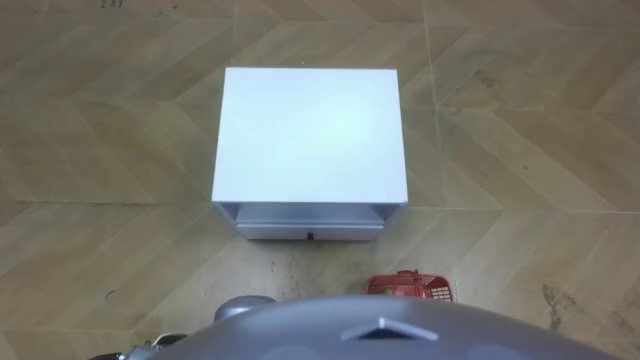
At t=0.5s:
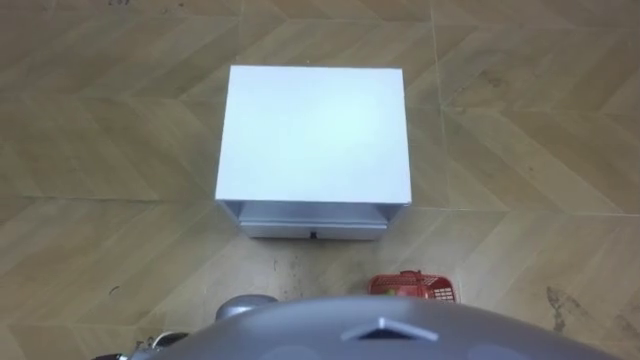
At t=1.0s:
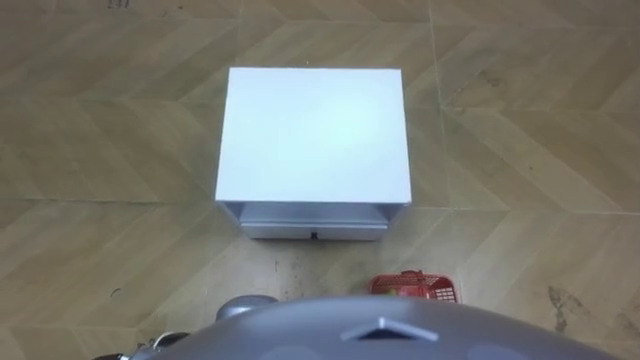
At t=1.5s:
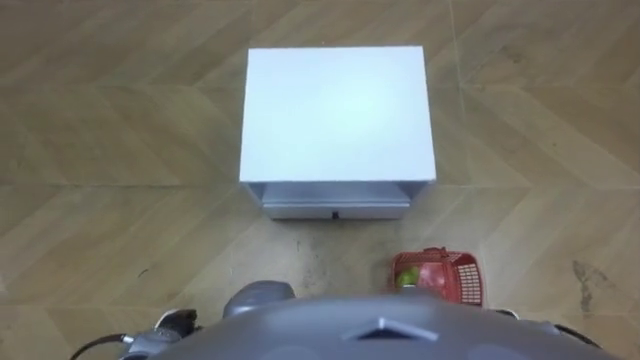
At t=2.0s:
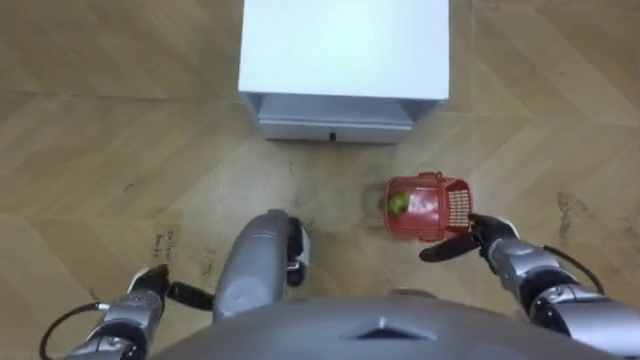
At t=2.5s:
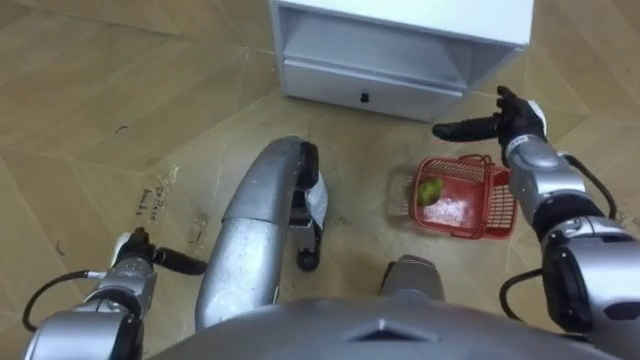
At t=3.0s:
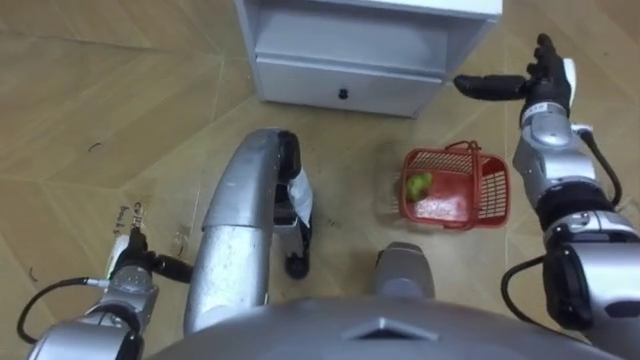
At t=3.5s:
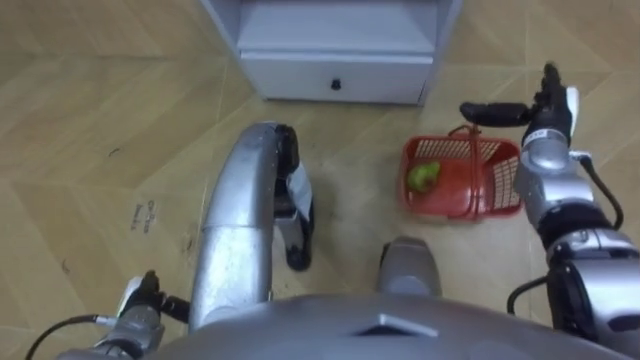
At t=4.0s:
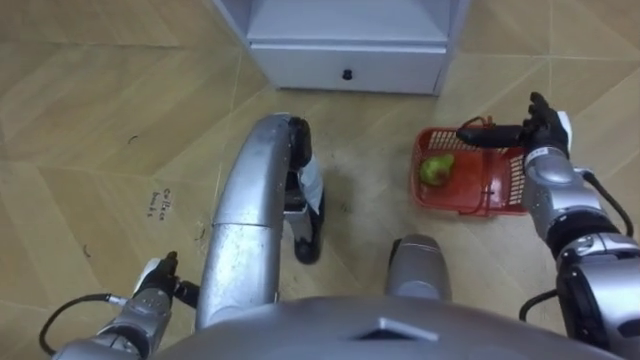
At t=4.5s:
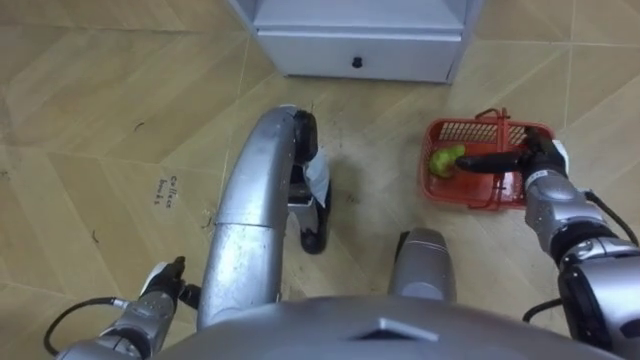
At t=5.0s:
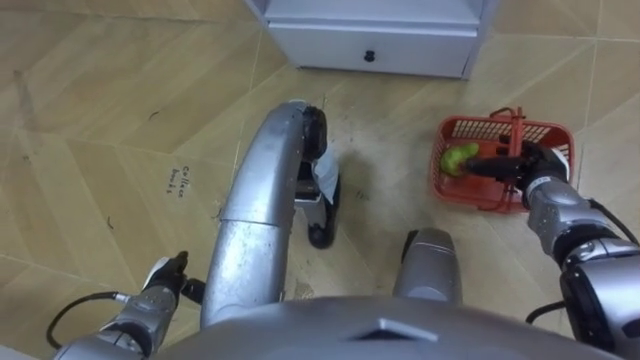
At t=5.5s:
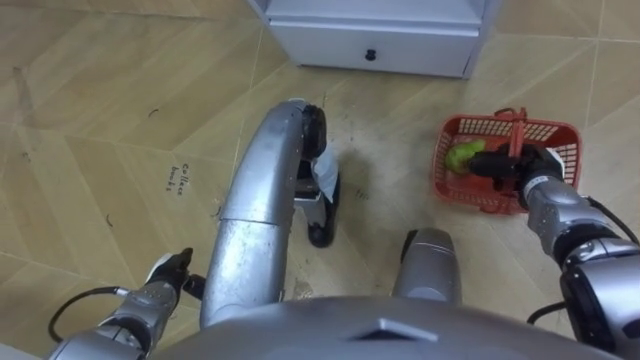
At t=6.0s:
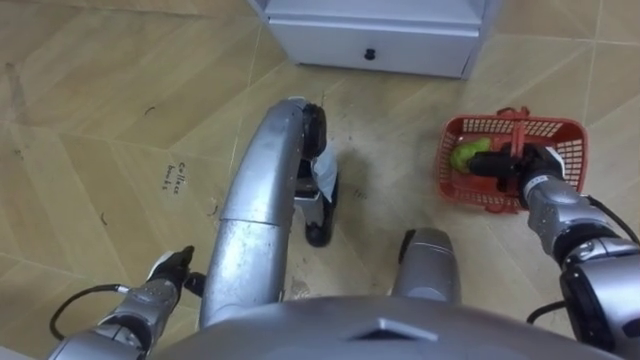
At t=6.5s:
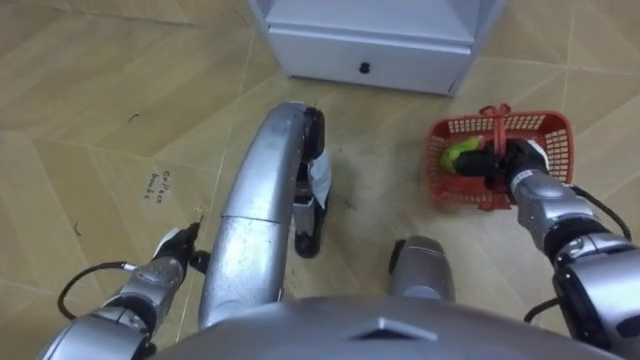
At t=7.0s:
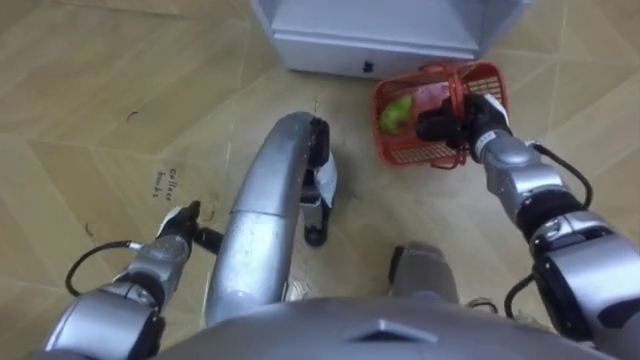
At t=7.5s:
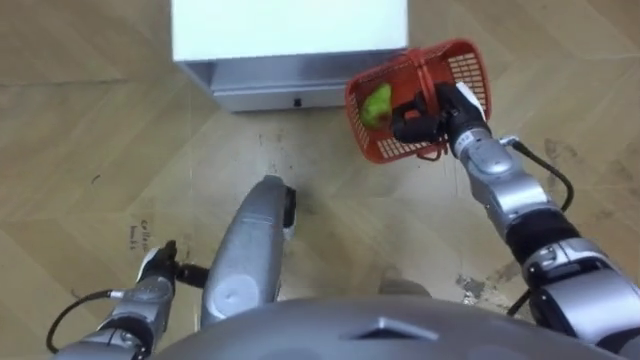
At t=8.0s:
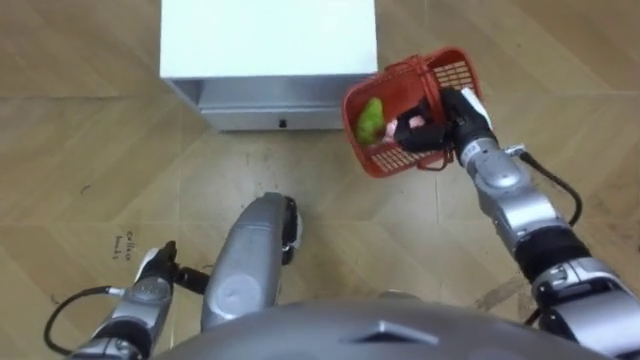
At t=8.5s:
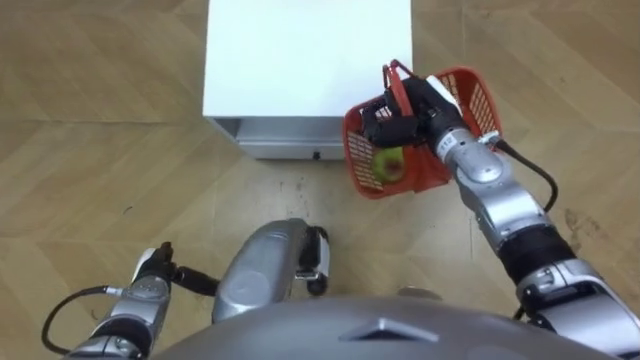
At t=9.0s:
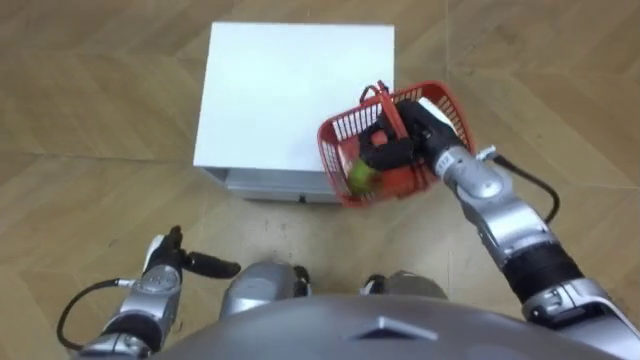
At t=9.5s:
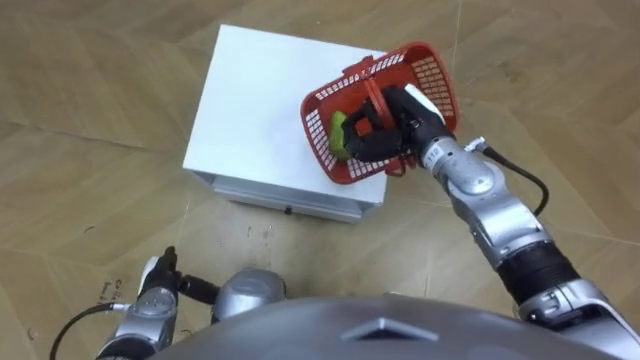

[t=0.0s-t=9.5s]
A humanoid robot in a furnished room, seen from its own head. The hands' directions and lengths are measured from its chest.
Task of the whole recording: Pick up the fruit basket from the floor and place it on the cabinet.
t=2.0s to t=4.0s: The right hand goes some 15 cm forward and upward.
t=4.0s to t=5.5s: The right hand shifts by some 5 cm, and closes.
t=5.5s to t=7.5s: The robot rotates about 15 degrees to its right. The right hand travels to the left, forward and upward by some 15 cm. The left hand goes forward and returns, roughly 10 cm each way.
t=7.5s to t=9.5s: The right hand heads to the left, covering roughly 5 cm.

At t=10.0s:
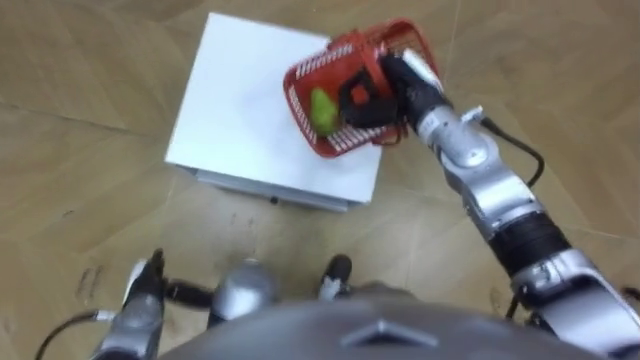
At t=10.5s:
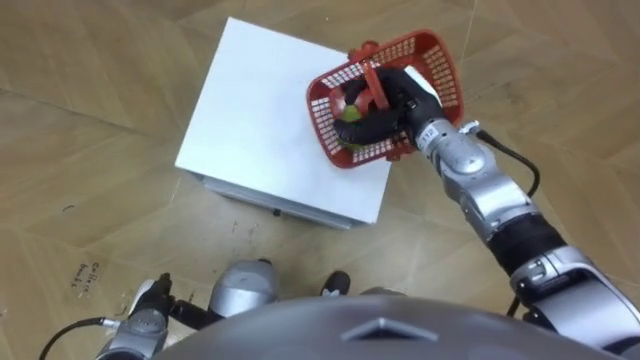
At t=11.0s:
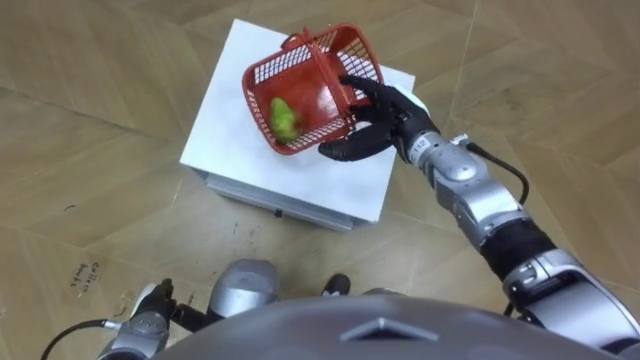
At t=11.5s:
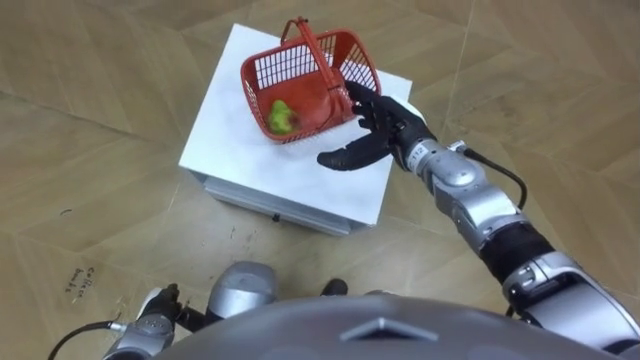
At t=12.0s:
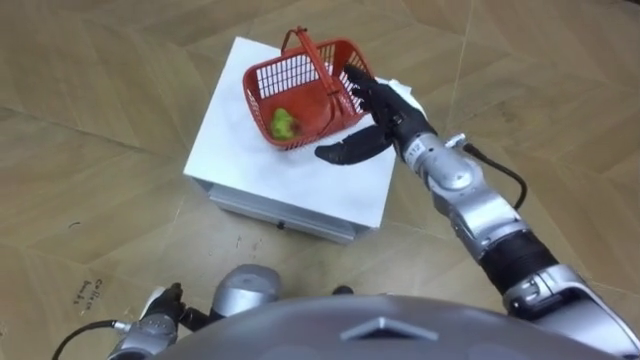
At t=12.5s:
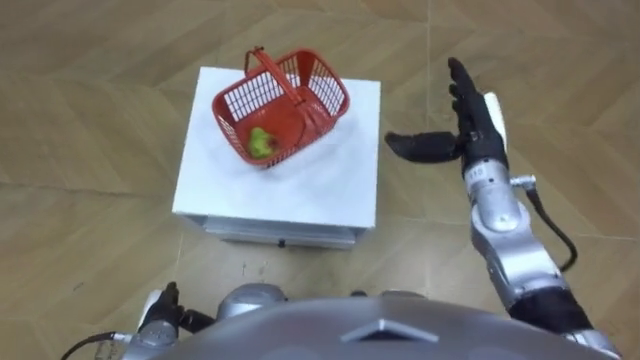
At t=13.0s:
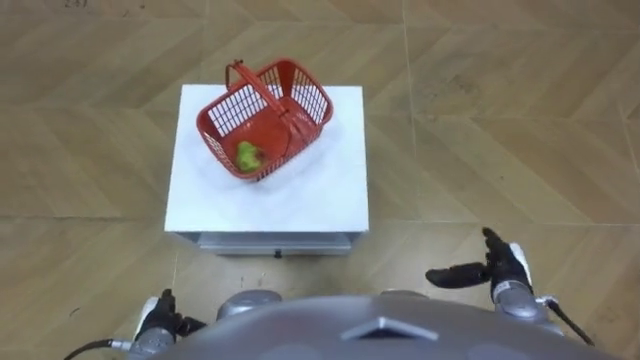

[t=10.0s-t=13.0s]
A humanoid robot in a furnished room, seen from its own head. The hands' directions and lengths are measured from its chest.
Task of the whole recording: Pick up the fruit basket from the floor and place it on the cabinet.
t=10.0s to t=11.5s: The right hand is displaced downward by about 5 cm, and opens its fingers.
t=11.5s to t=13.0s: The right hand moves backward, to the right and downward, approximately 30 cm.

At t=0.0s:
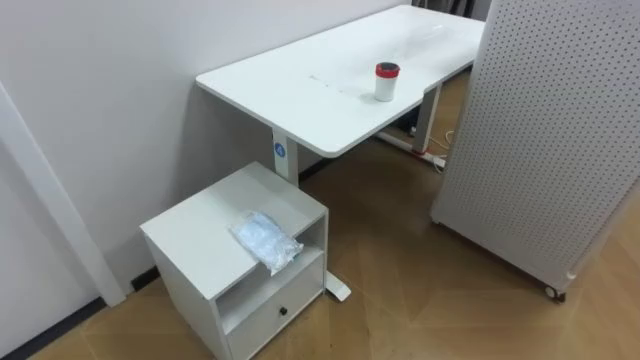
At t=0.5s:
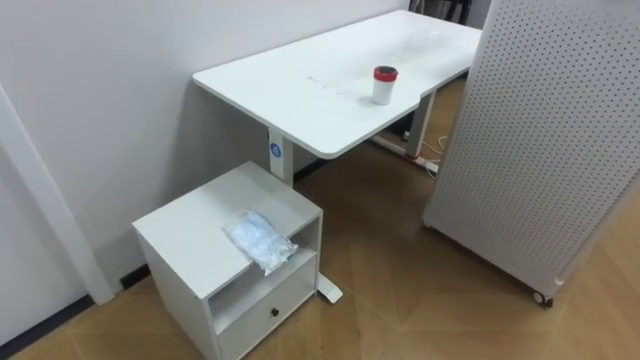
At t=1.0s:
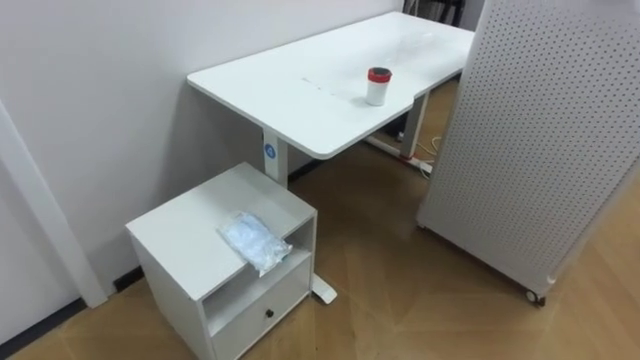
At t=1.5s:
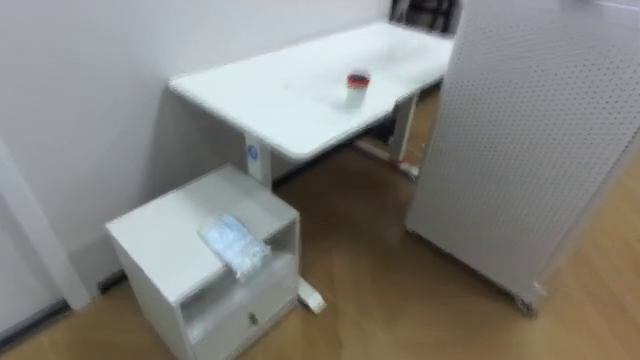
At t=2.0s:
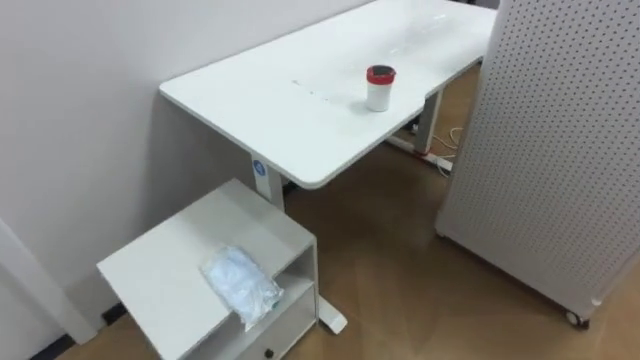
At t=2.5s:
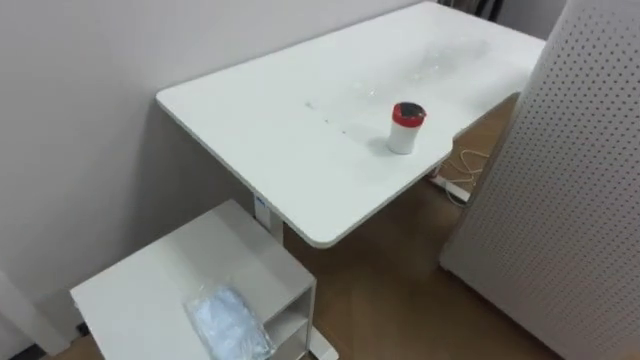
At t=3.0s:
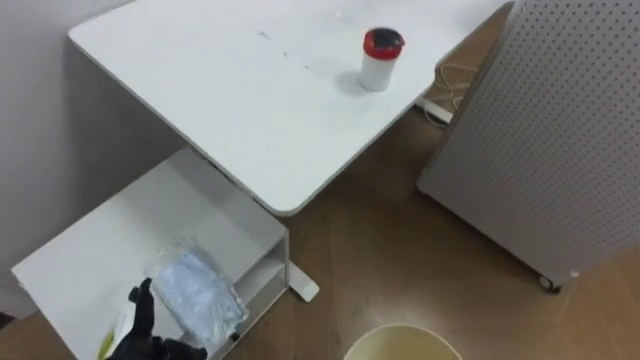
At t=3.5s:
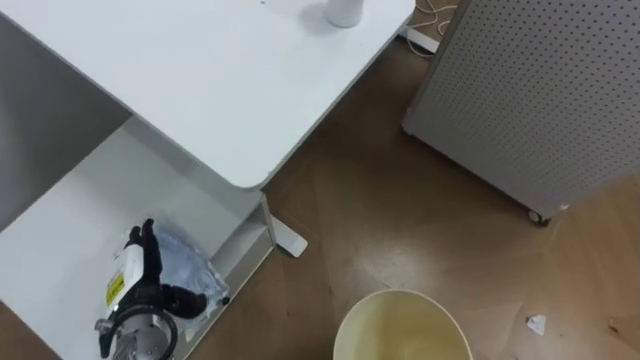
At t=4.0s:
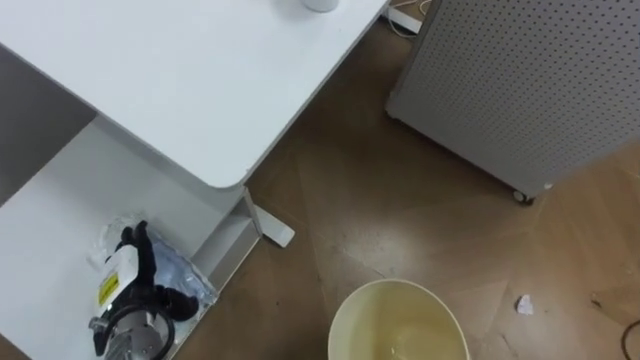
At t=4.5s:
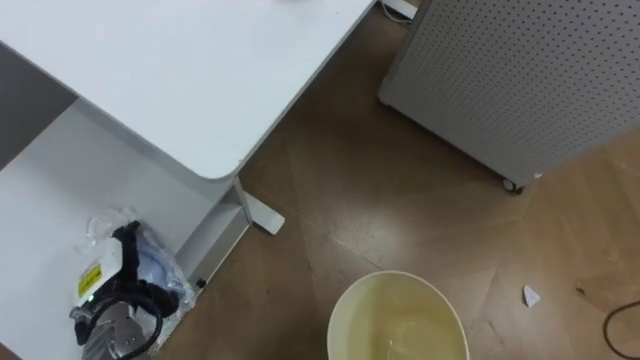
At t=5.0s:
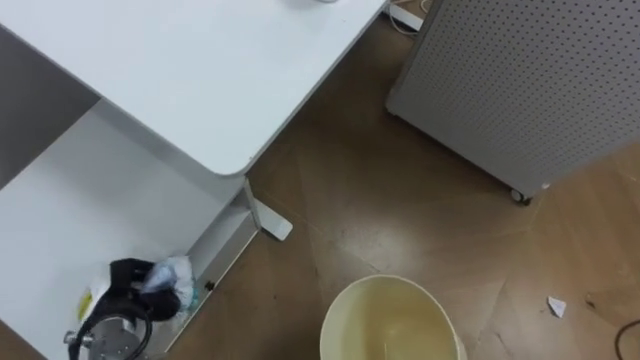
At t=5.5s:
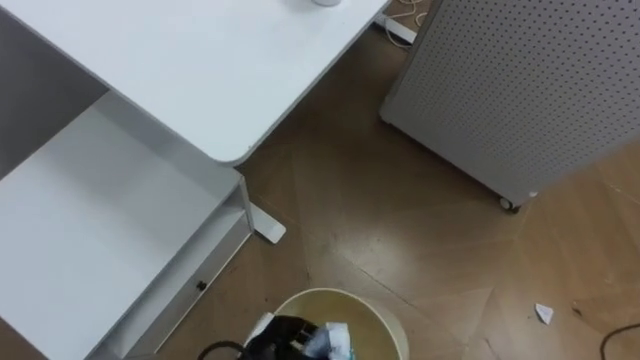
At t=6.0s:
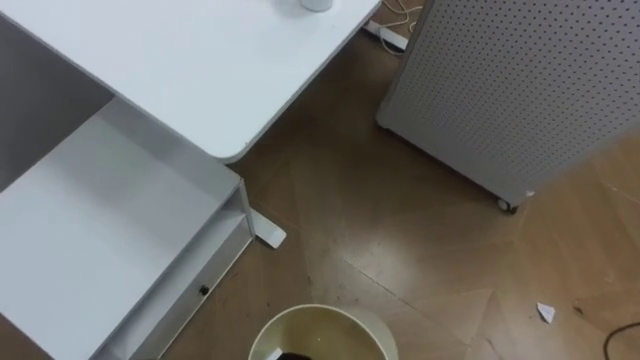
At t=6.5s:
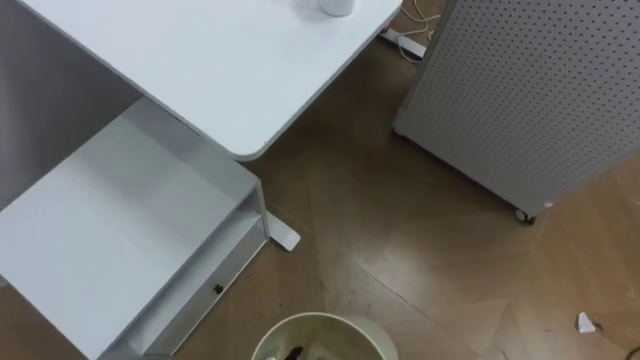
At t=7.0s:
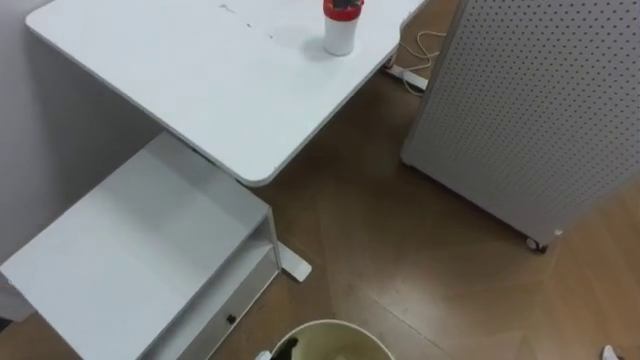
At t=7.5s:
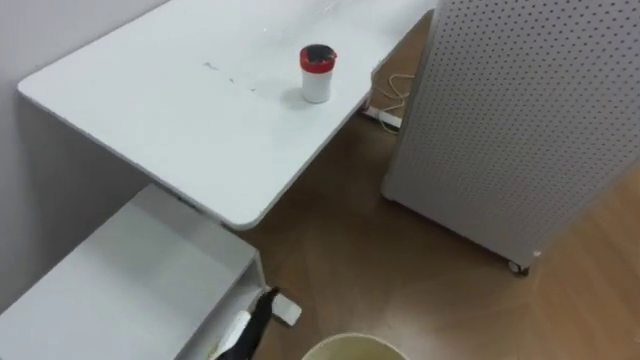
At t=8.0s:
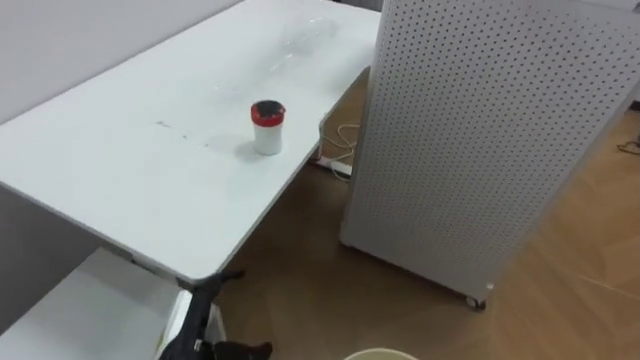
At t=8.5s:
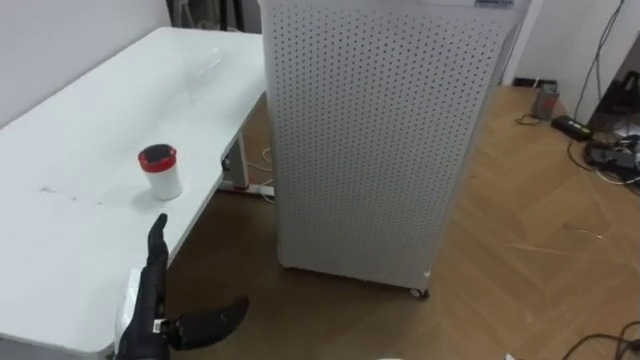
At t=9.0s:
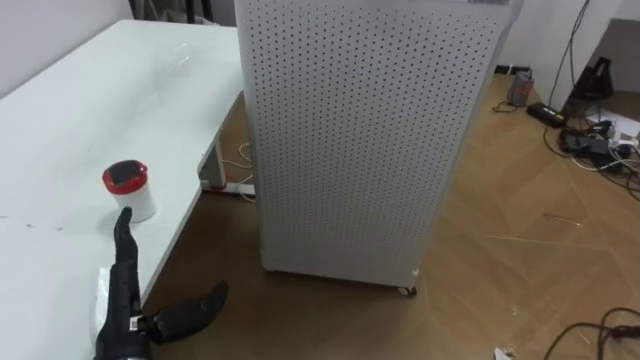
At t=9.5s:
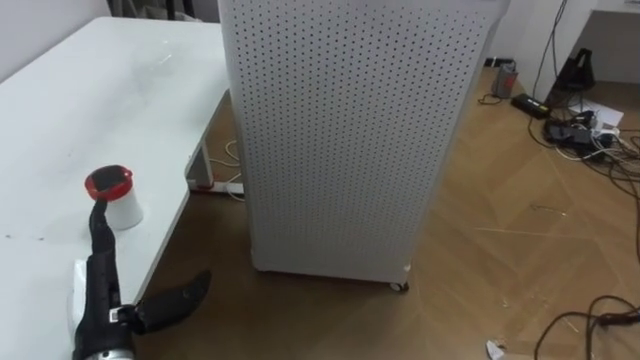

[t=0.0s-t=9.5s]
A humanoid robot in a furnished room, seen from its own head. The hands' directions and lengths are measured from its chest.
Task of the whole recording: Pick up the light blue package, the candy box, and the dark blue package separately, and put them into the trash can held in your right hand.
t=4.0s to t=5.5s: The left hand shifts about 20 cm to the right and downward, and closes up.
t=7.5s to t=9.5s: The robot turns to its right by approximately 30 degrees. The left hand is displaced to the left and upward by approximately 20 cm.
